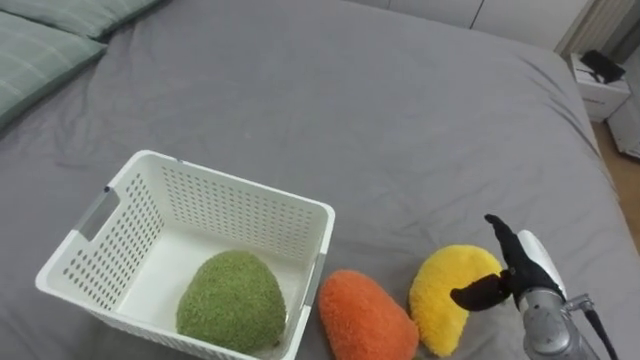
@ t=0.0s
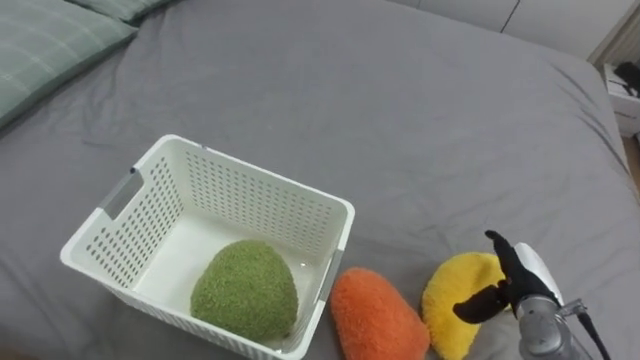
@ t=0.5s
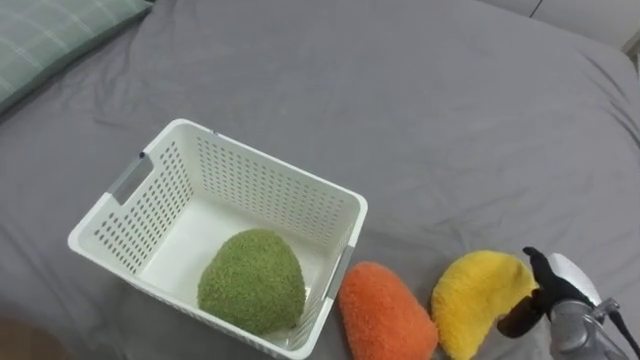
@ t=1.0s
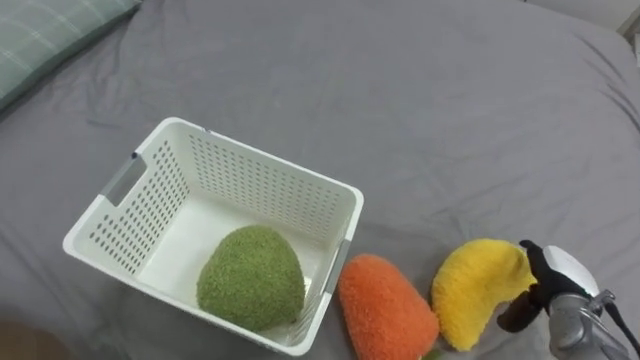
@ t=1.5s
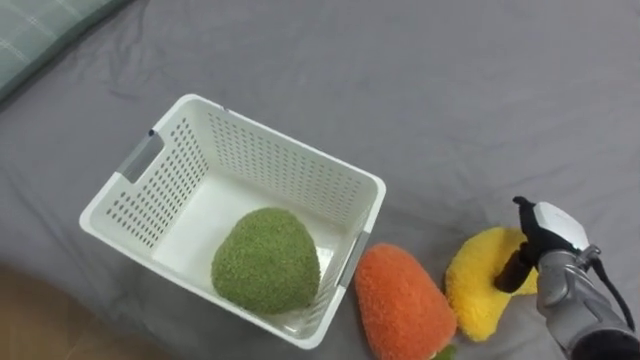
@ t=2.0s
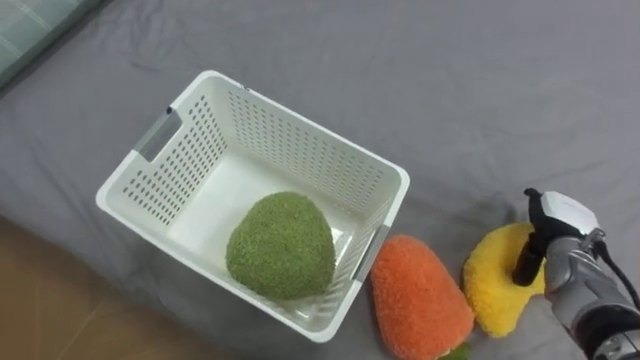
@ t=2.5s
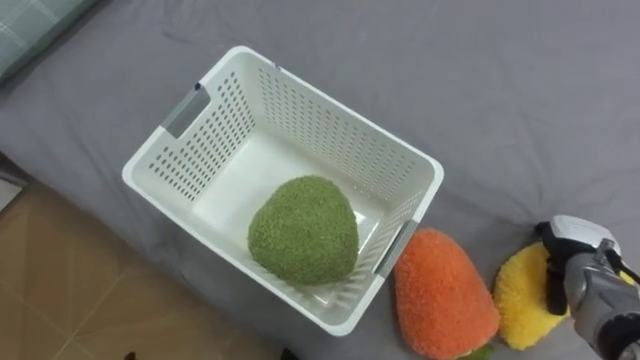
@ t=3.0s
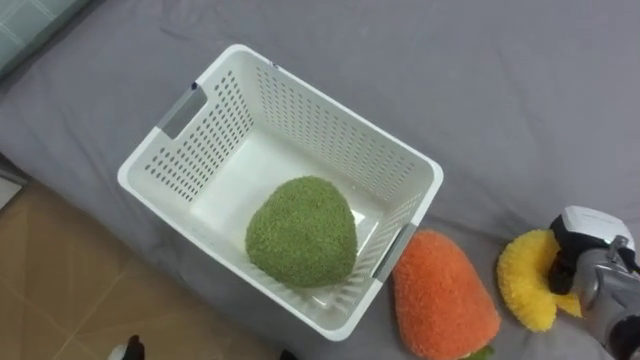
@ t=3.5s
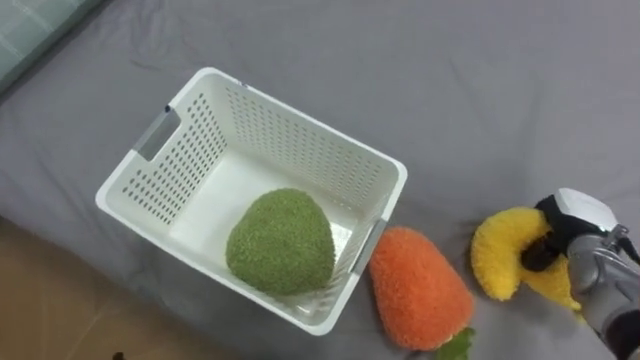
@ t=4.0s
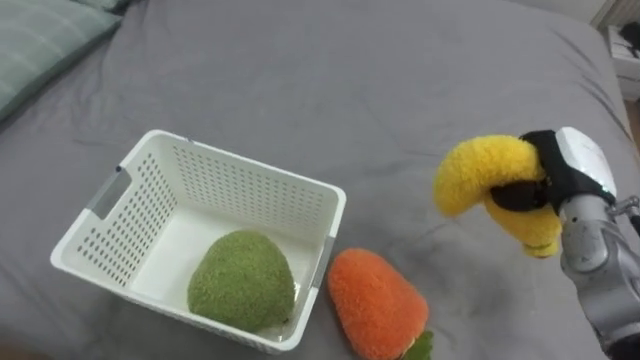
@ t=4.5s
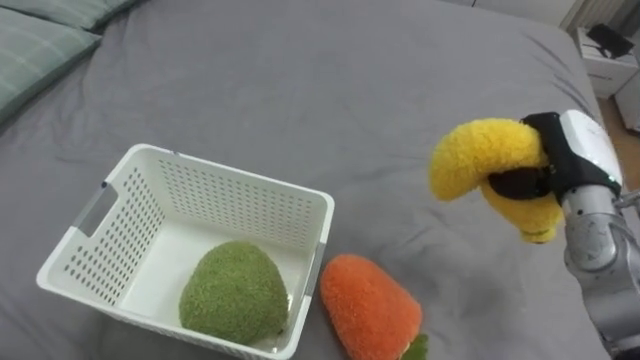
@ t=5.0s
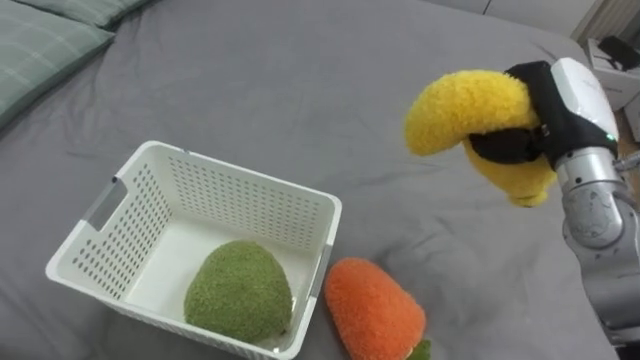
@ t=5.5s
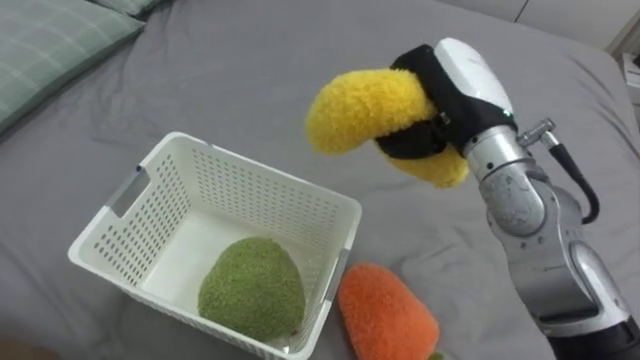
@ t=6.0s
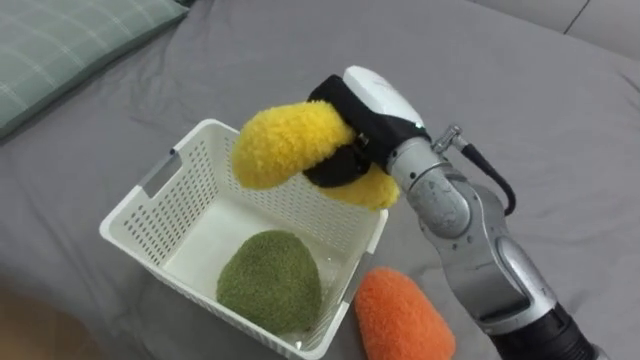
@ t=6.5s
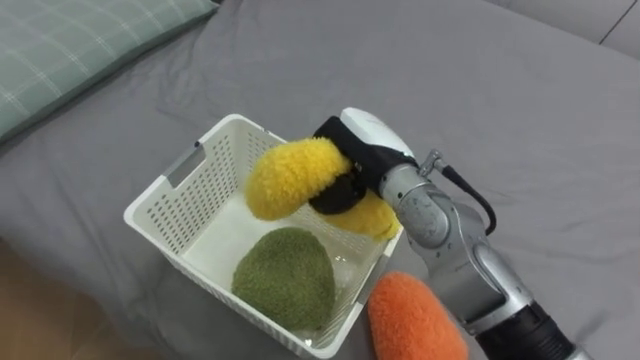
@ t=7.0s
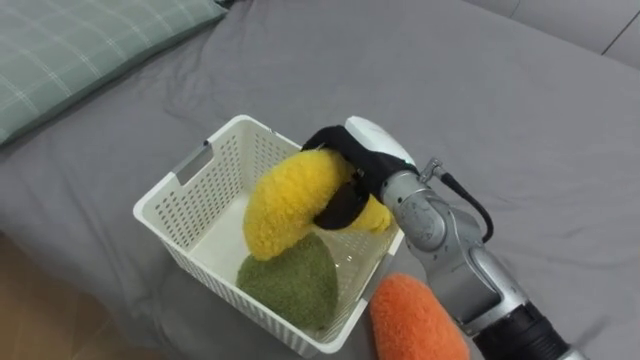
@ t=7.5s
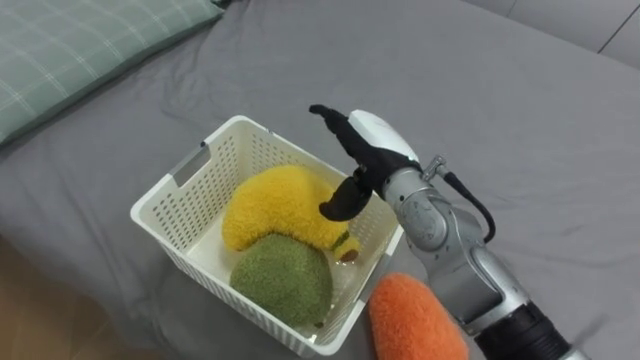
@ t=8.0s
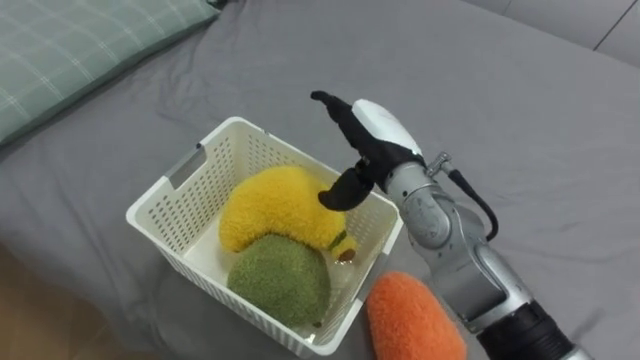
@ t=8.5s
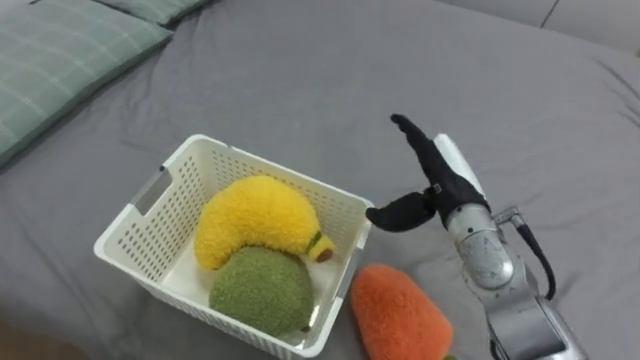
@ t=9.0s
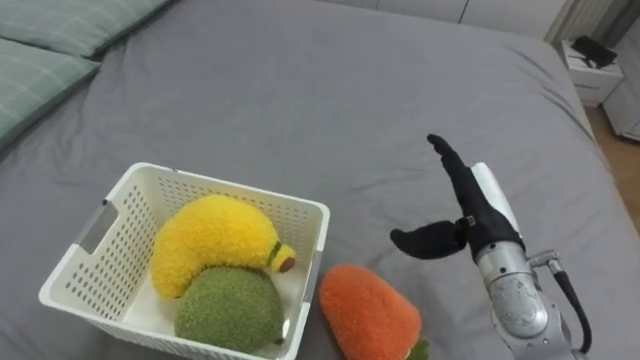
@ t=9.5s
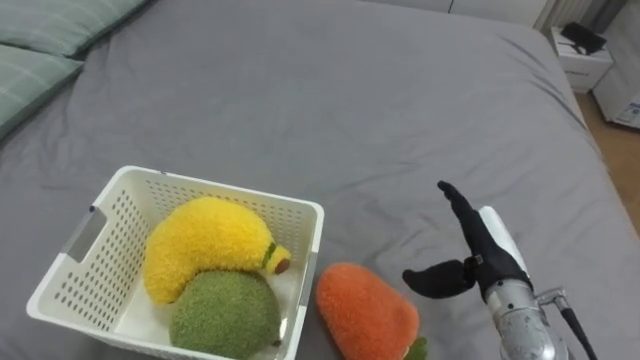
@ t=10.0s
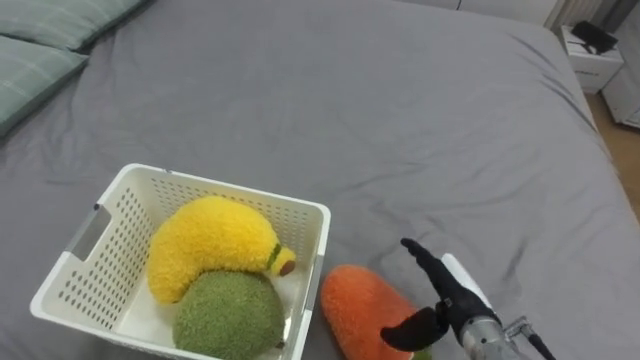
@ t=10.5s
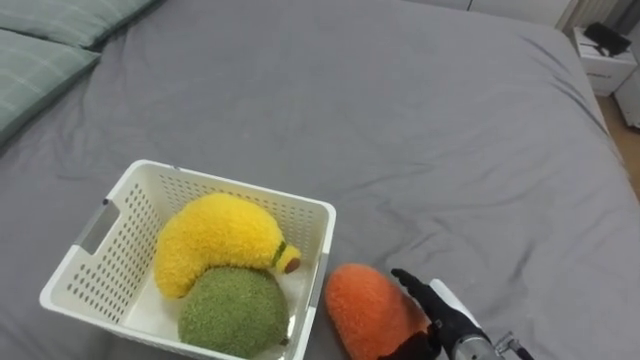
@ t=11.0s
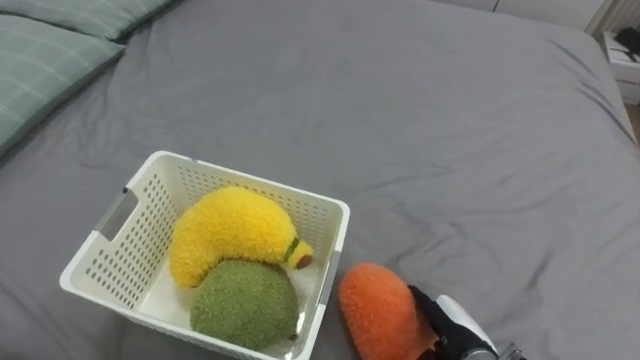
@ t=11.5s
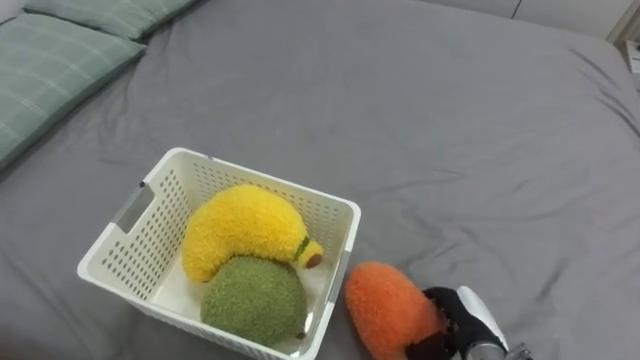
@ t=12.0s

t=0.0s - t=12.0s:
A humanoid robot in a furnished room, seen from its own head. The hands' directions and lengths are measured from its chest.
Task of the whole recording: Put the toys on the bed into the basket on the left.
t=0.0s - t=2.0s: The right hand shifts by roughly 5 cm.
t=2.0s - t=4.0s: The right hand closes up.
t=4.0s - t=6.0s: The right hand shifts about 30 cm upward and to the left.
t=6.0s - t=8.0s: The right hand is displaced downward and to the left by some 10 cm, and opens.
t=8.0s - t=10.0s: The right hand heads to the right, backward and downward, covering about 20 cm.
t=10.0s - t=12.0s: The right hand shifts roughly 15 cm downward and backward, and closes its fingers.

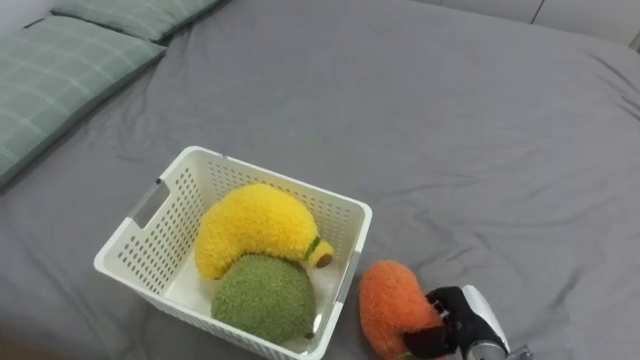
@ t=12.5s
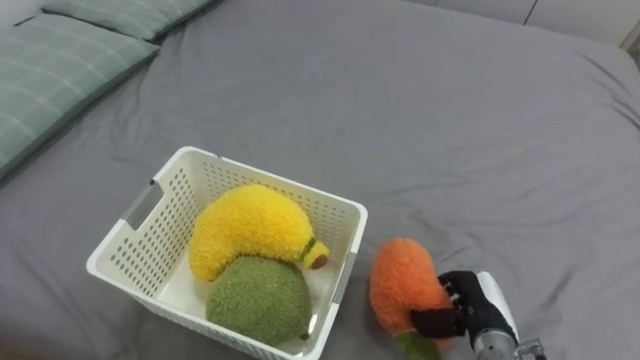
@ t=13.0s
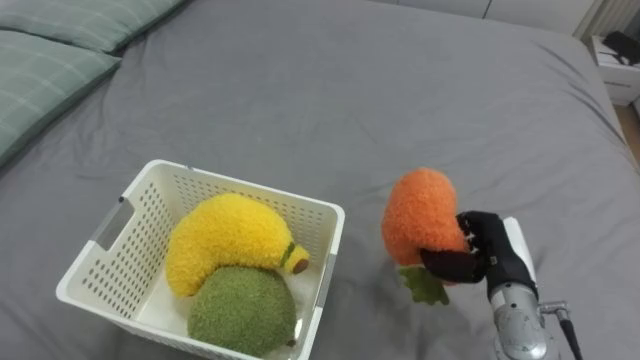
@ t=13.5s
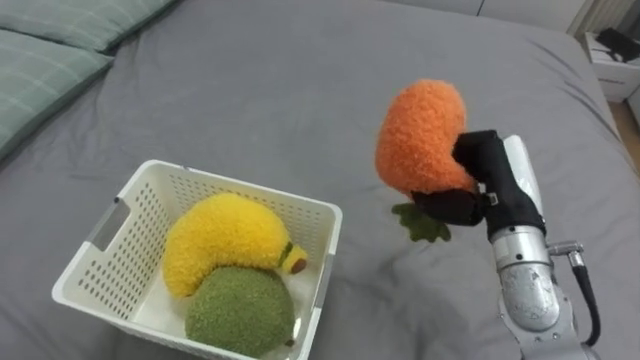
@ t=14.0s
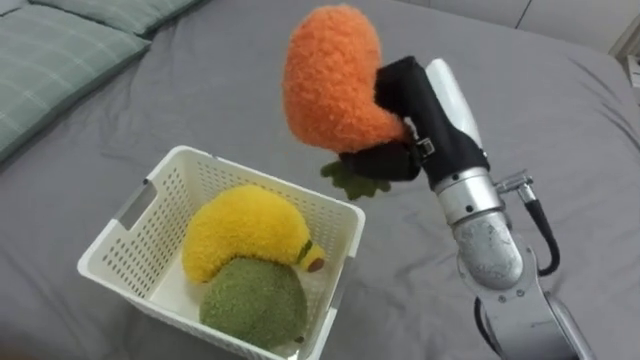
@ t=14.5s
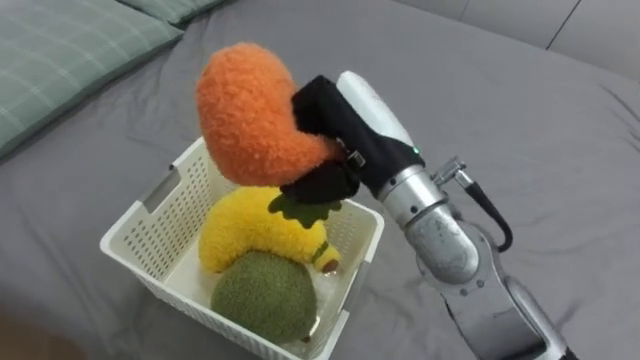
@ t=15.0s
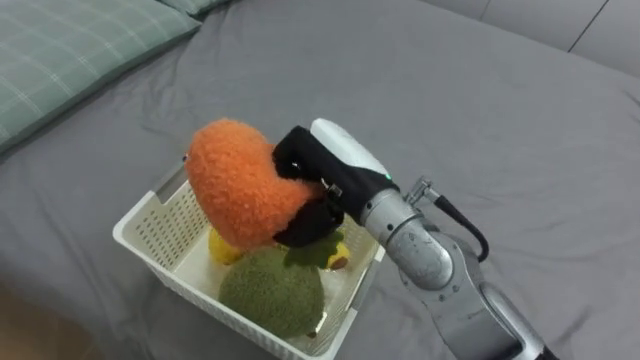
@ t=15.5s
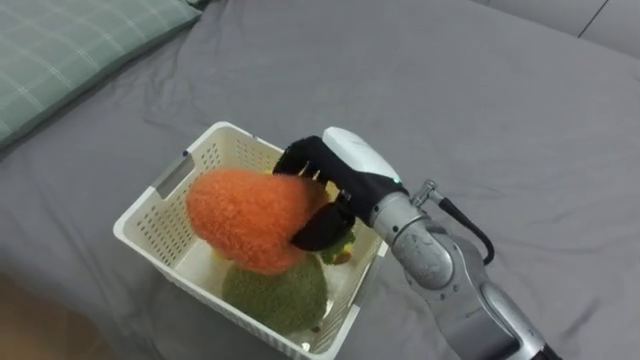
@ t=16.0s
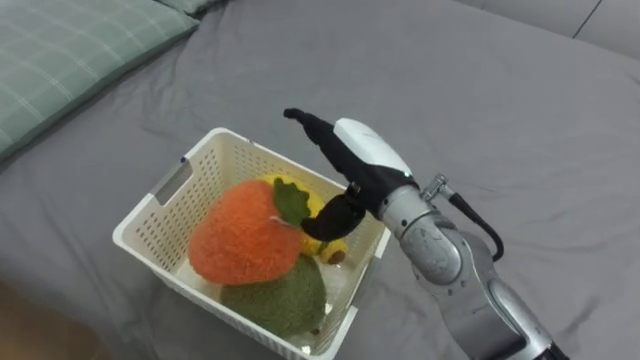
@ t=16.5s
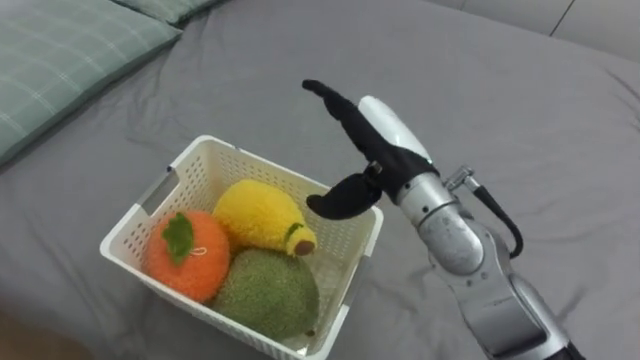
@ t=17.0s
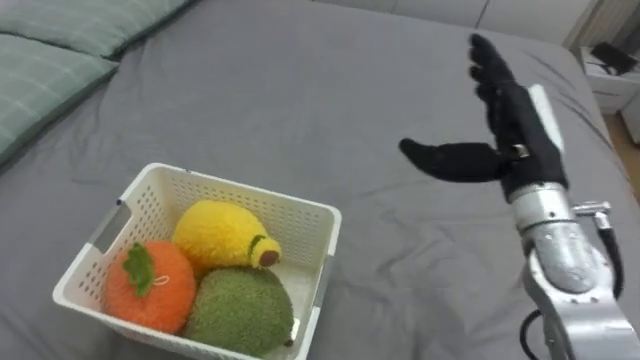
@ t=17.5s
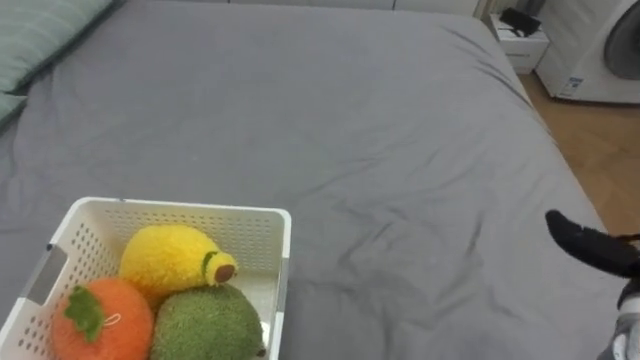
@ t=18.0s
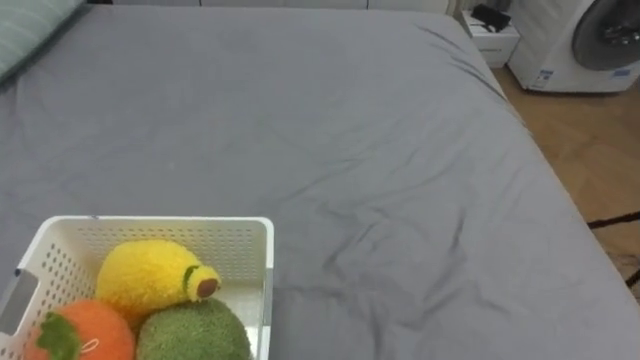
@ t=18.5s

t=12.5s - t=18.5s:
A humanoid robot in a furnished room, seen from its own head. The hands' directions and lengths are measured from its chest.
Task of the whole recording: Put the toys on the bed into the basket on the left.
t=12.5s - t=14.5s: The right hand travels upward by about 30 cm.
t=14.5s - t=16.5s: The right hand travels to the left and downward by roughly 10 cm, and opens up.

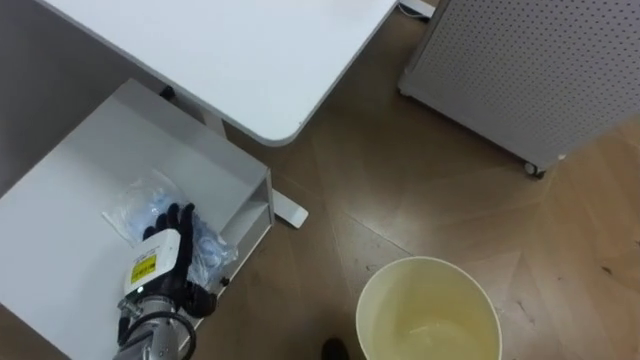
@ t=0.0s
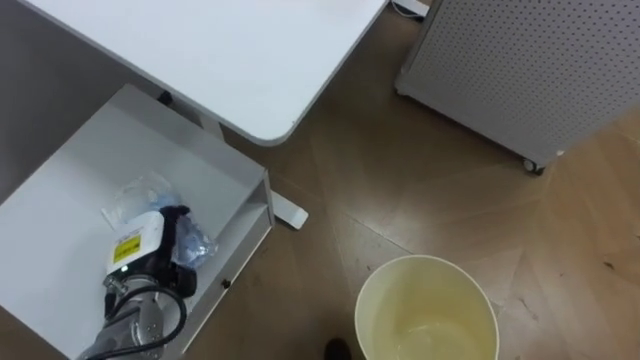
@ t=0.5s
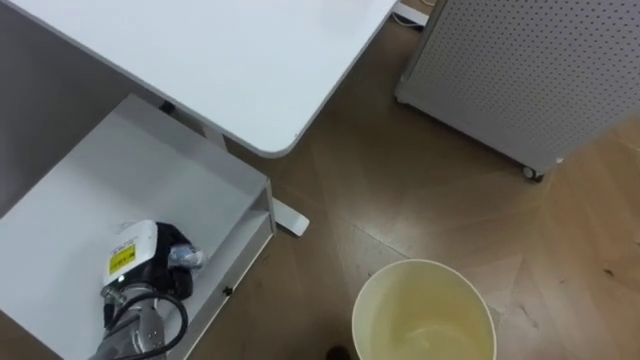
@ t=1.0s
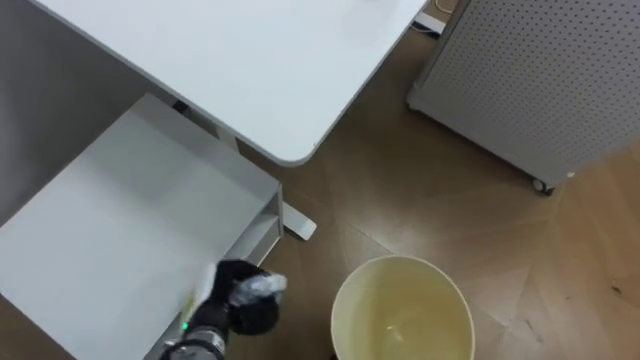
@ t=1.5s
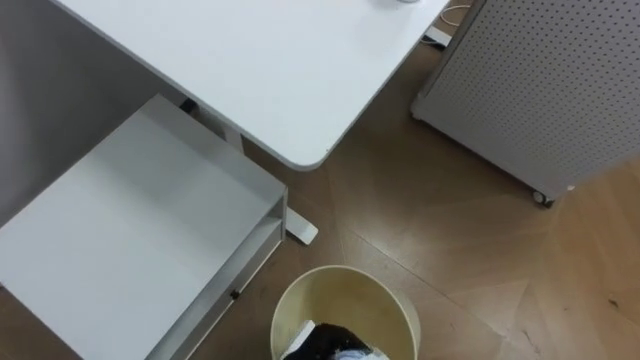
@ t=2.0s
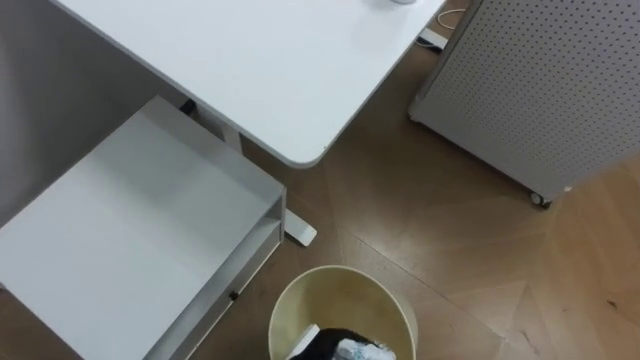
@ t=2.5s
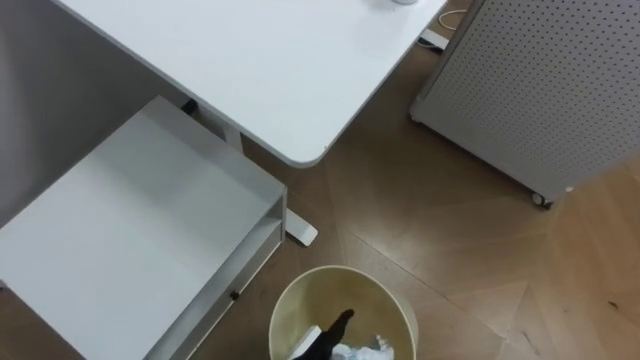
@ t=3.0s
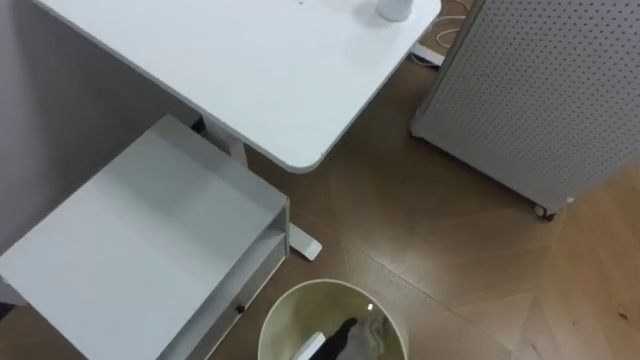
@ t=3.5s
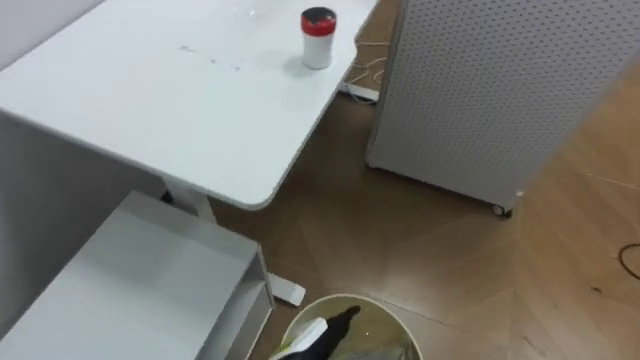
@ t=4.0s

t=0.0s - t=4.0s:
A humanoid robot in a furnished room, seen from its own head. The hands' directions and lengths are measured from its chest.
Task of the whole recording: Pick up the light blue package, the candy box, and the dark blue package separately, and put them into the trash can held in your right hand.
t=0.0s - t=2.0s: The left hand shifts approximately 25 cm to the right, backward and downward, and closes.
